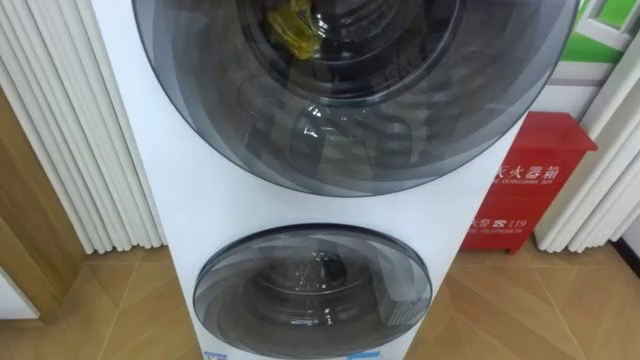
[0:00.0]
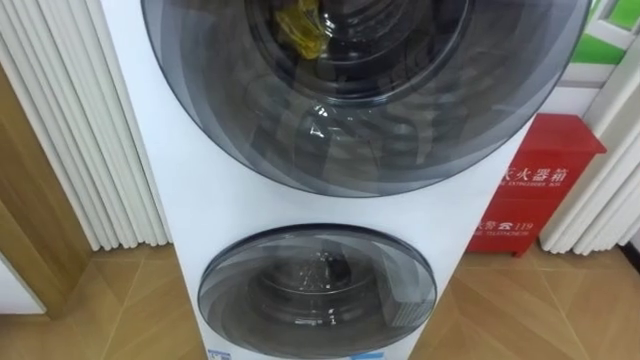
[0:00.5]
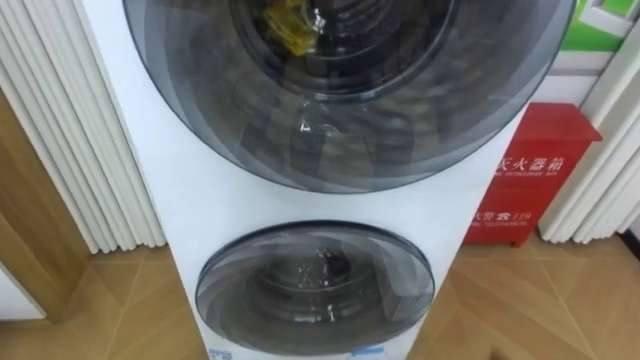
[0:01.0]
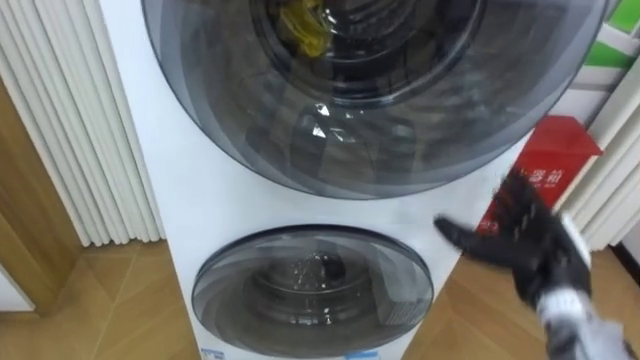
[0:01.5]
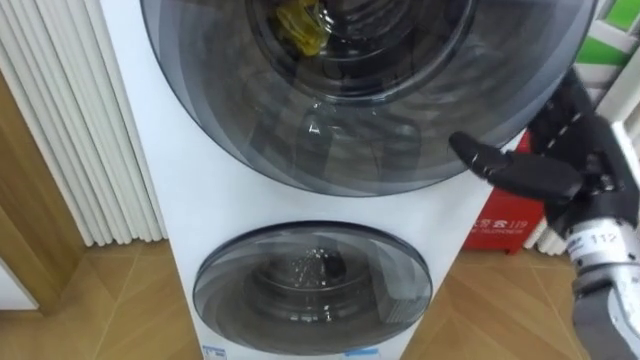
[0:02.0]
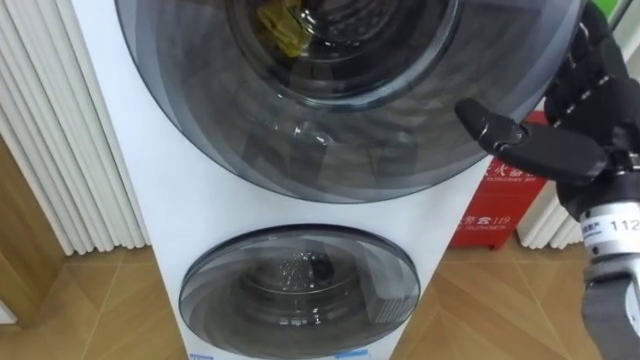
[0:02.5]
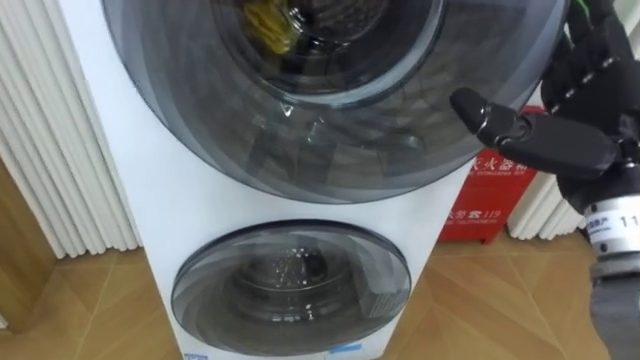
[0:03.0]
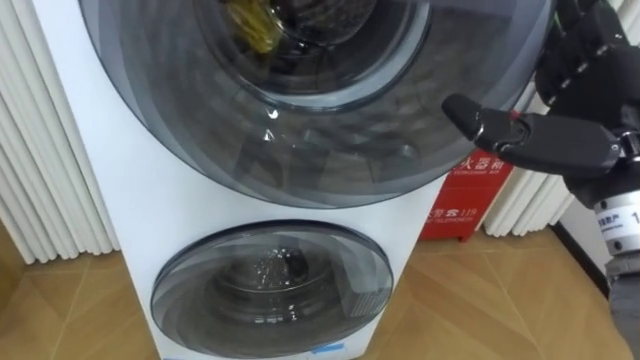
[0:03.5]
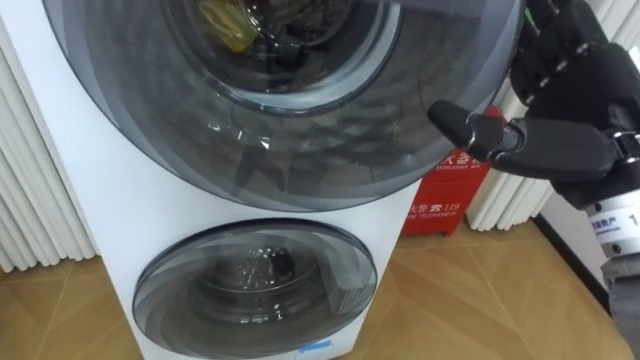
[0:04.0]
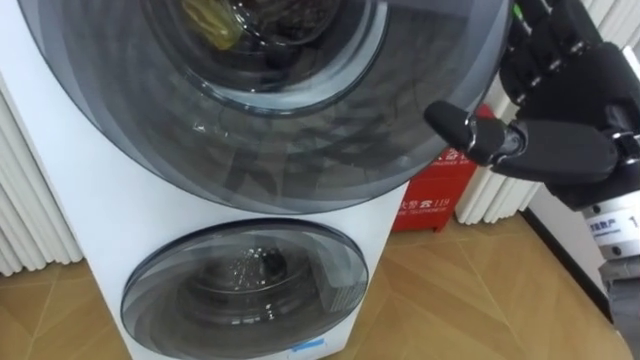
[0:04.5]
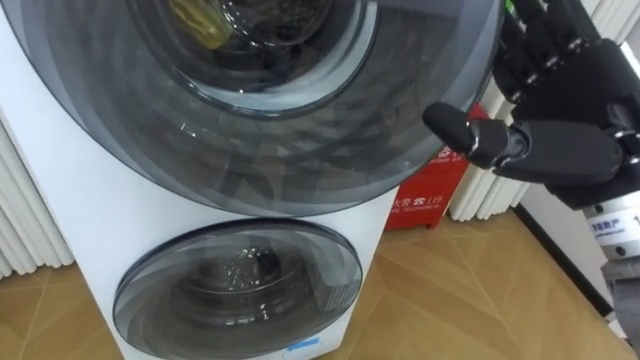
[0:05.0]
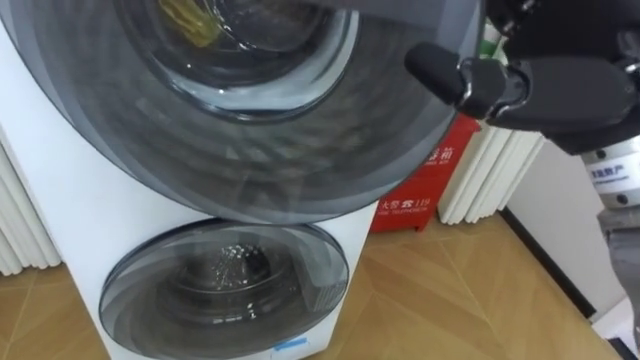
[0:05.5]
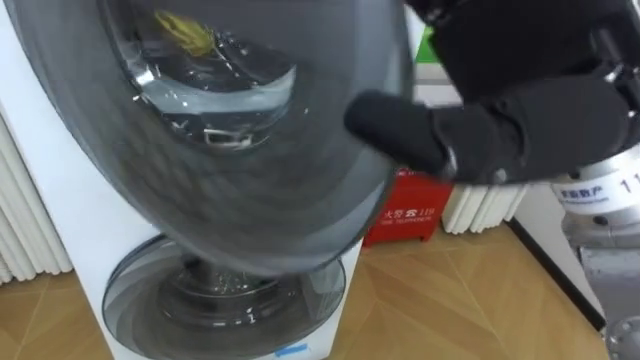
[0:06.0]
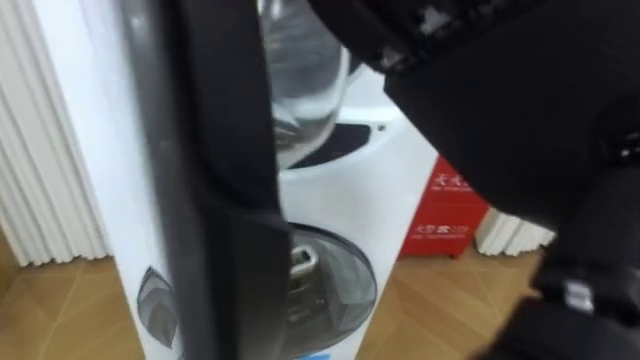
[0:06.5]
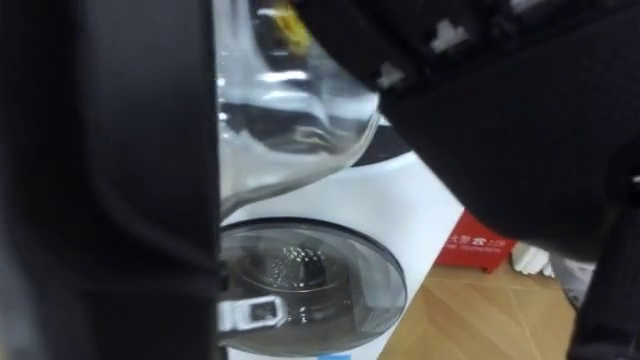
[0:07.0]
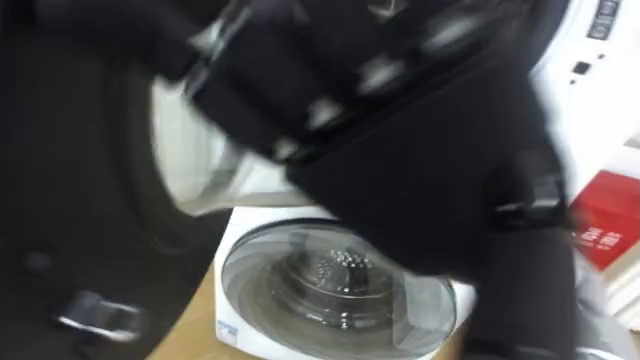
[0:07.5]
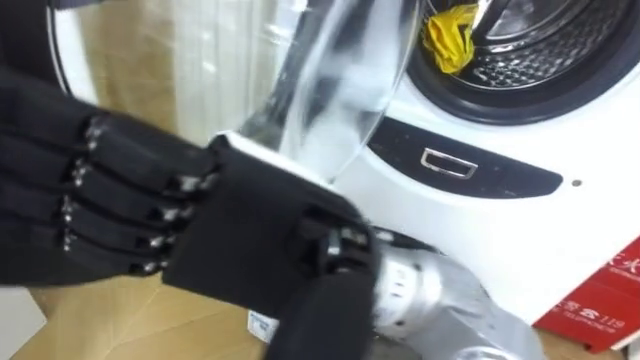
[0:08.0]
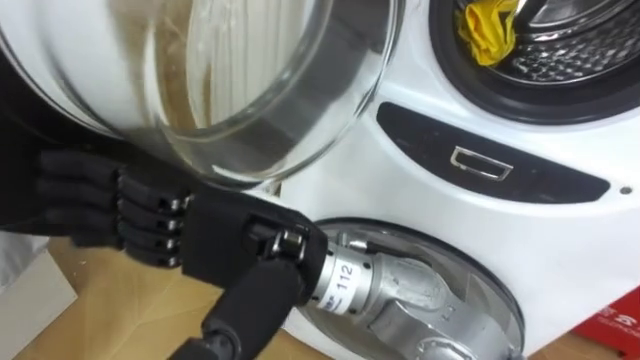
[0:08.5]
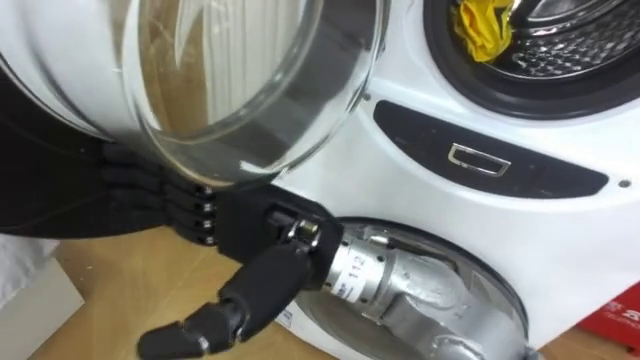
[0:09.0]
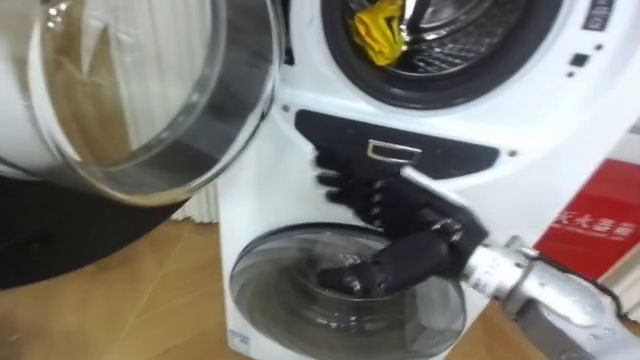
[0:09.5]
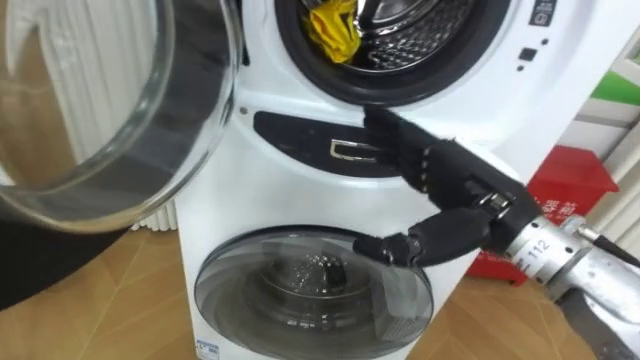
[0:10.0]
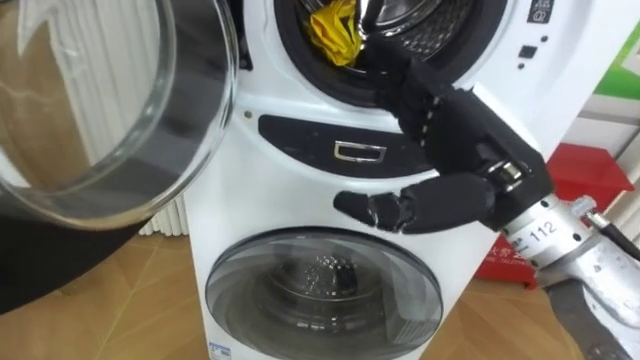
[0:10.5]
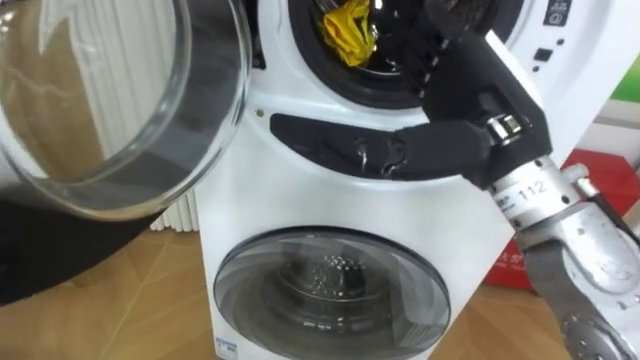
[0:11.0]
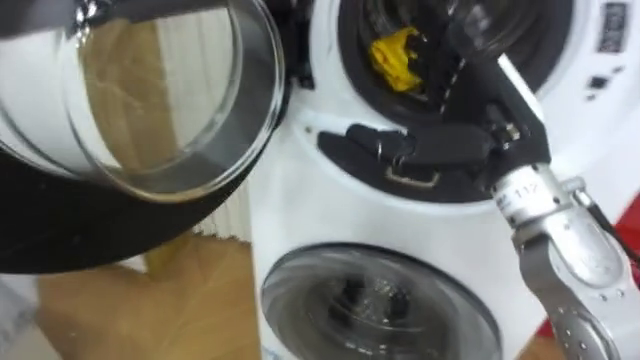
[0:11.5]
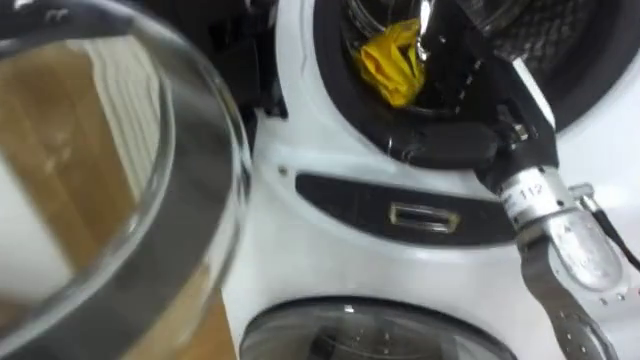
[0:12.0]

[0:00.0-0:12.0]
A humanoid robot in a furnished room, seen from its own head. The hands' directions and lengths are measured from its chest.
Task of the whole recording: Open the washing machine door, take out the yellow clothes, place them in the box on the right, and close the washing machine door.
0:02.0 to 0:04.0: The right hand travels upward by approximately 10 cm.
0:04.0 to 0:06.0: The right hand heads to the left and upward, covering about 10 cm.
0:06.0 to 0:08.0: The right hand goes about 15 cm to the left, downward and backward.
0:08.0 to 0:10.0: The right hand goes approximately 25 cm to the right, forward and downward.
0:10.0 to 0:12.0: The right hand is displaced upward by some 5 cm.

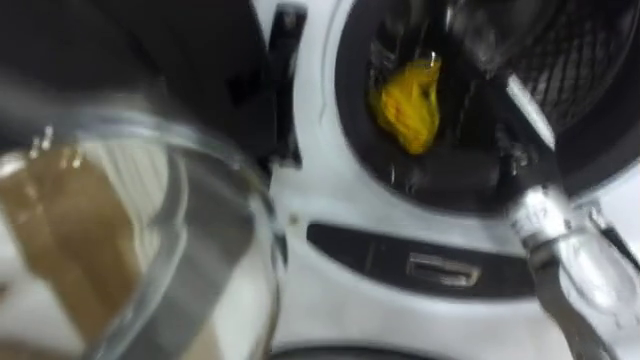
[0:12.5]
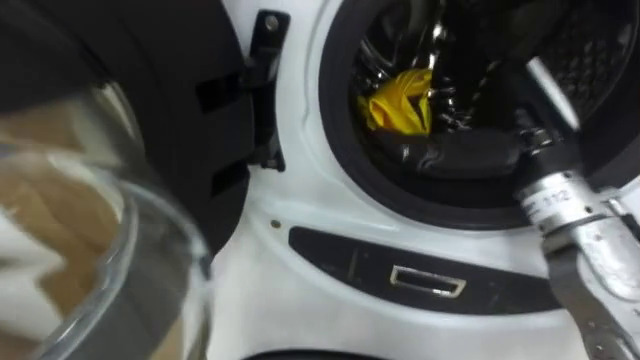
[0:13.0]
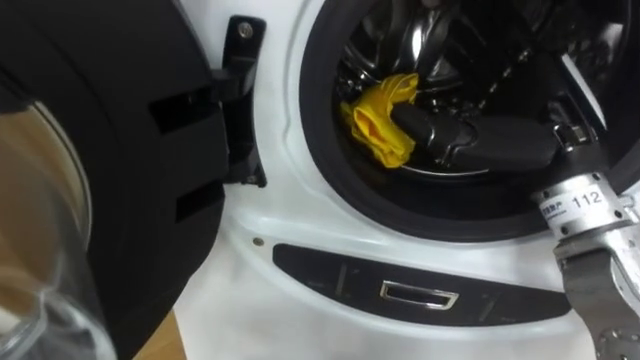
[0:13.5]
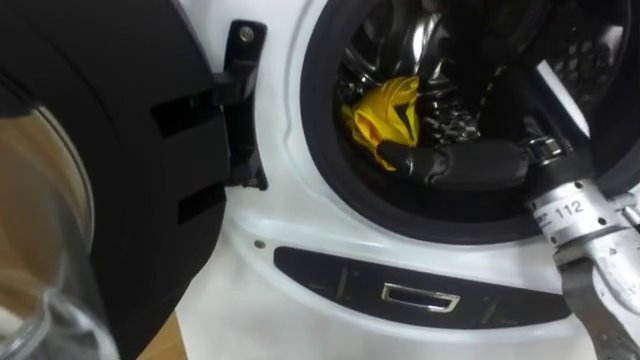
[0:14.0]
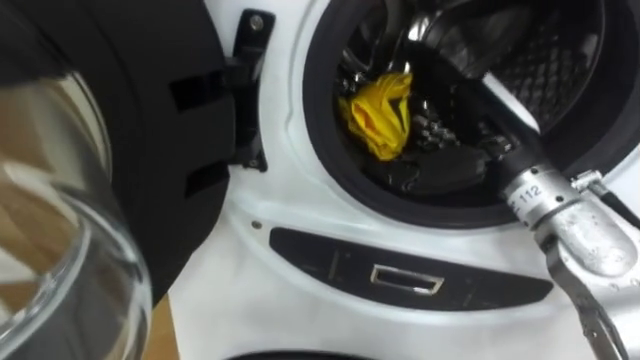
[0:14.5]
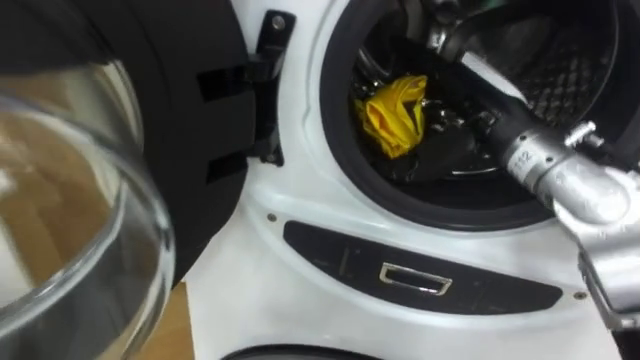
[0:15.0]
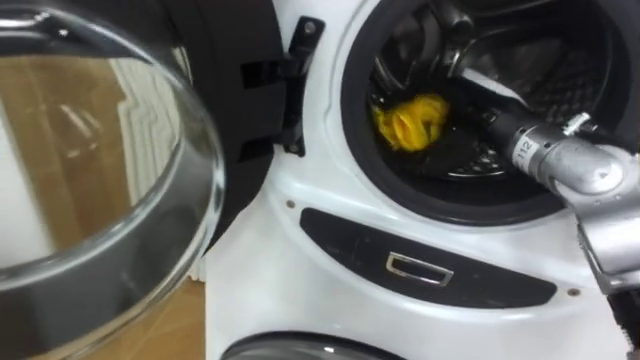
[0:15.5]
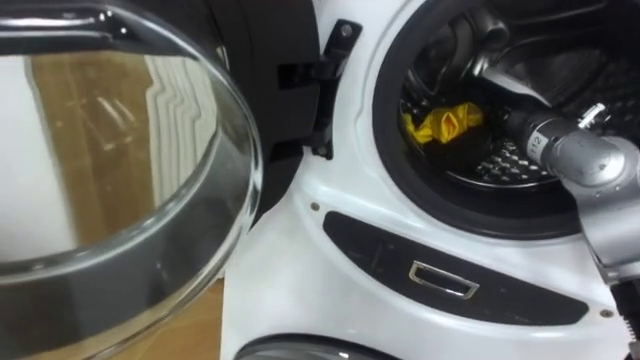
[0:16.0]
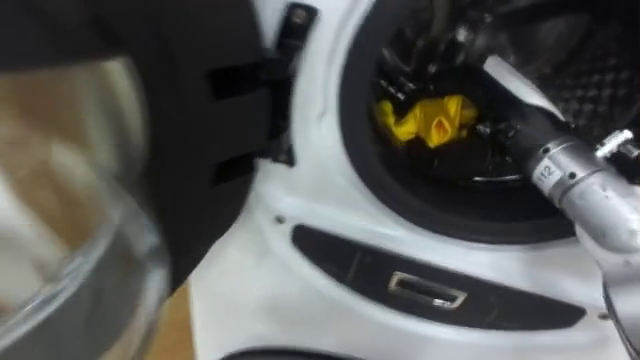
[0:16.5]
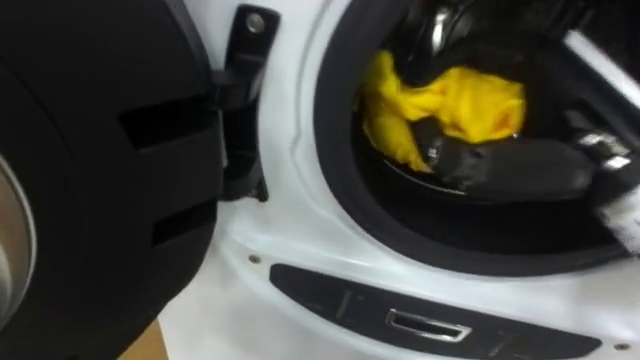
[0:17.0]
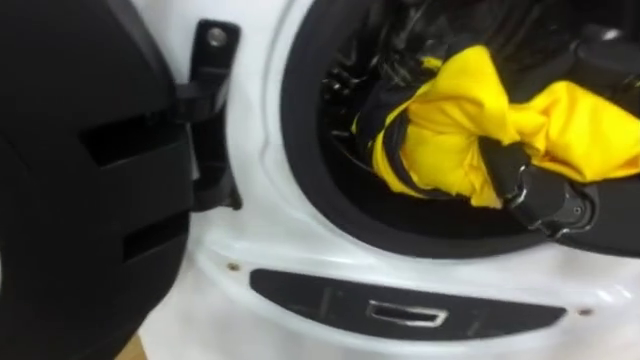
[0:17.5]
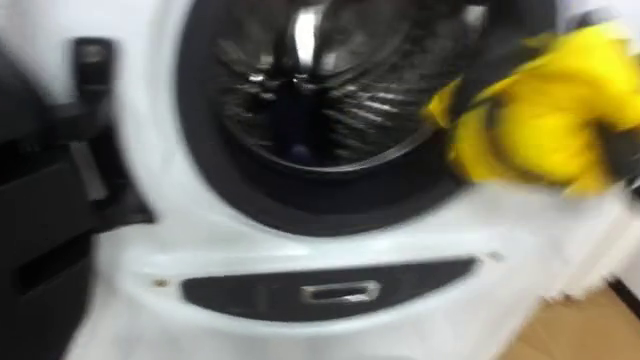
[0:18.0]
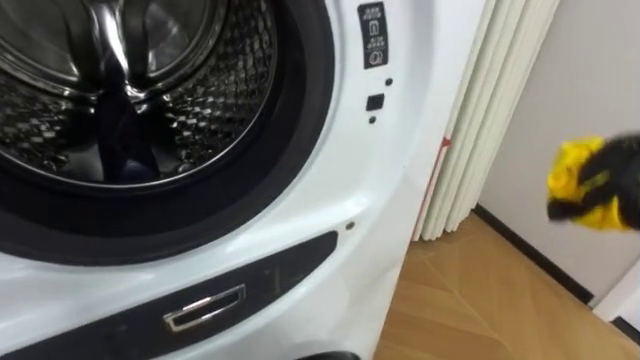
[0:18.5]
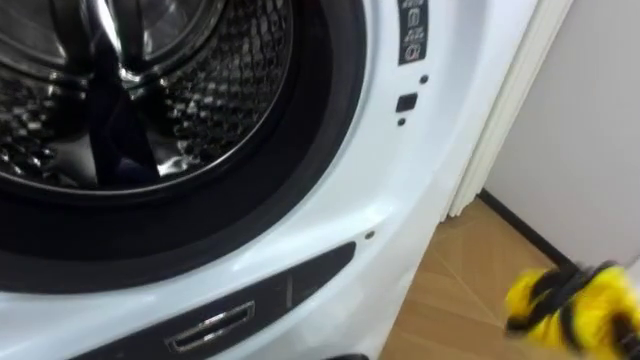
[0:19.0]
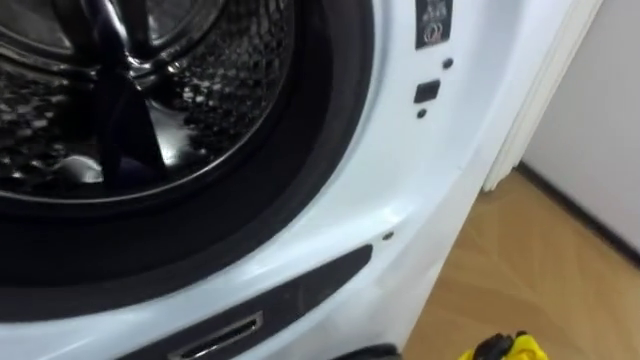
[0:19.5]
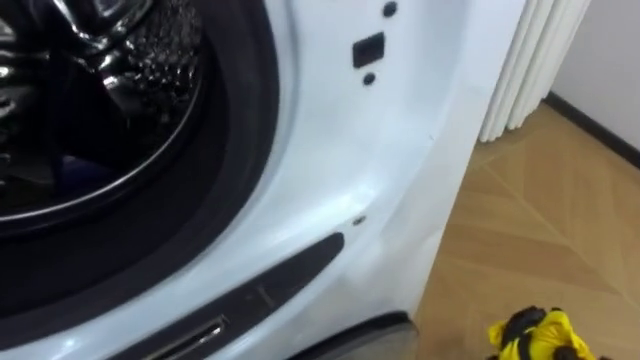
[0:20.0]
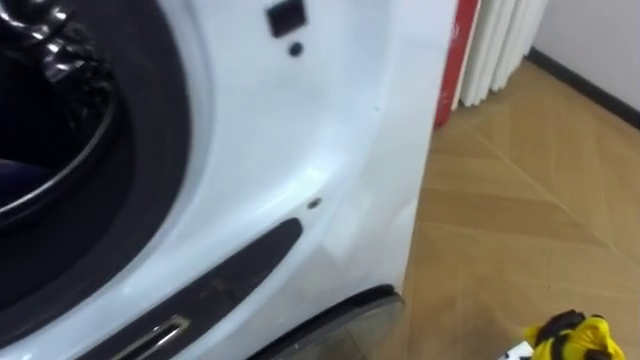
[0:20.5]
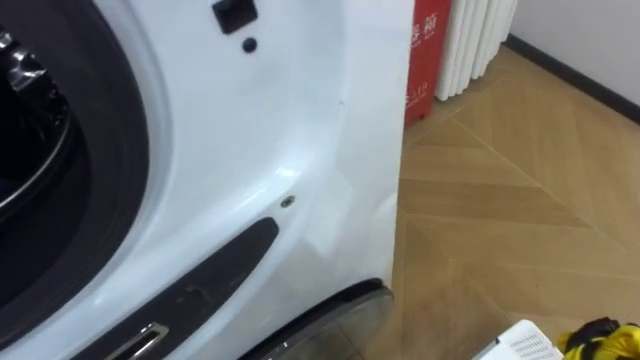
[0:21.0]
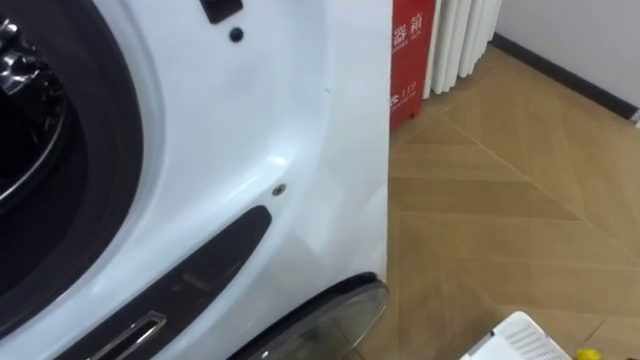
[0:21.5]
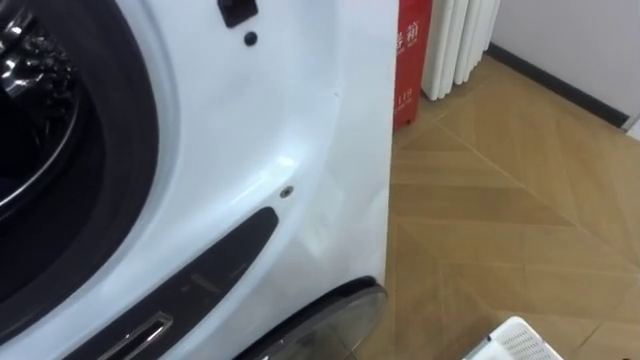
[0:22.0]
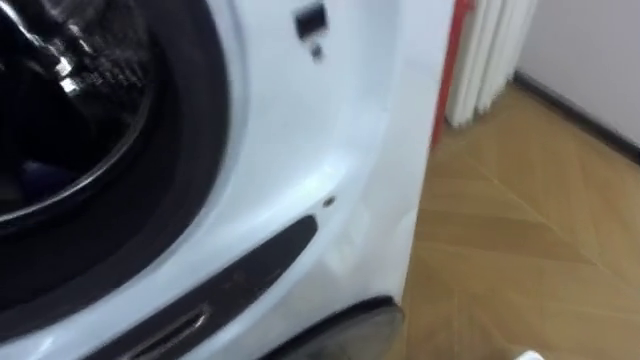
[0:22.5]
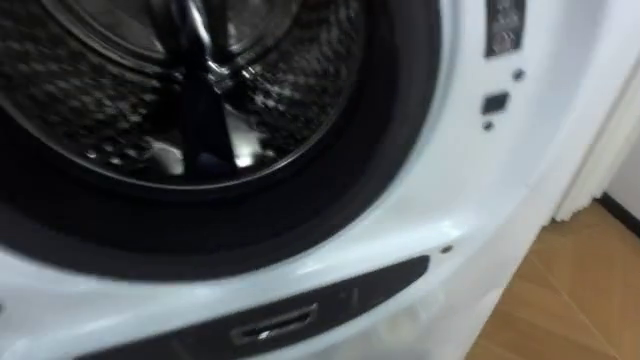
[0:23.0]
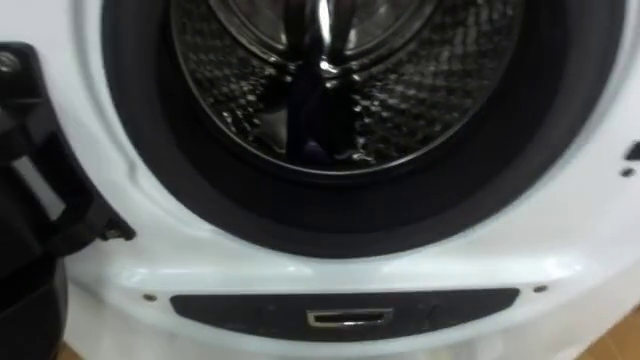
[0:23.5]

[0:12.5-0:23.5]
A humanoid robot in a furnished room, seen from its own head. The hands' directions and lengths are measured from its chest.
Task of the whole recording: Open the washing machine door, take out the yellow clothes, place them in the box on the right, and close the washing machine door.
0:14.5 to 0:16.0: The right hand is displaced forward by approximately 5 cm, and closes up.
